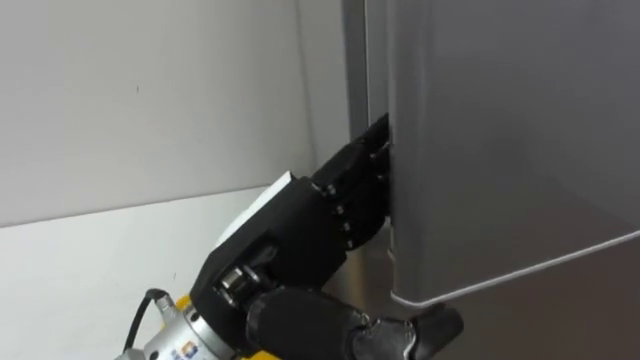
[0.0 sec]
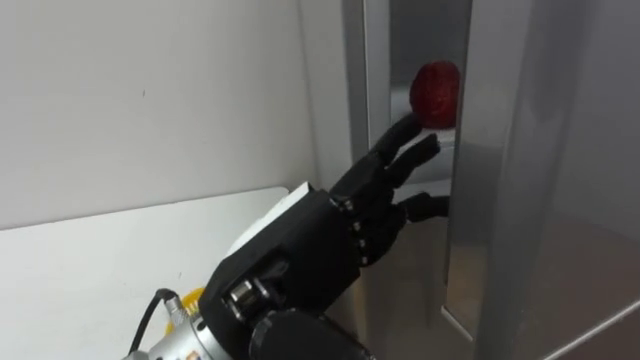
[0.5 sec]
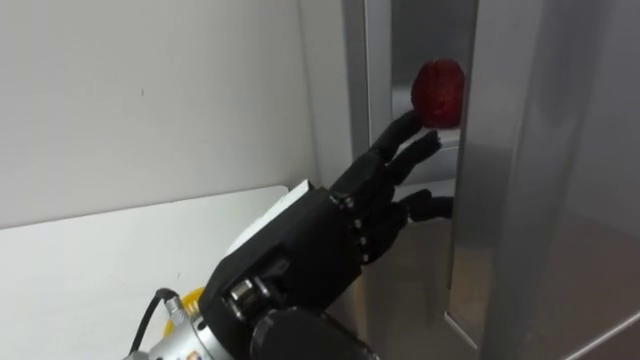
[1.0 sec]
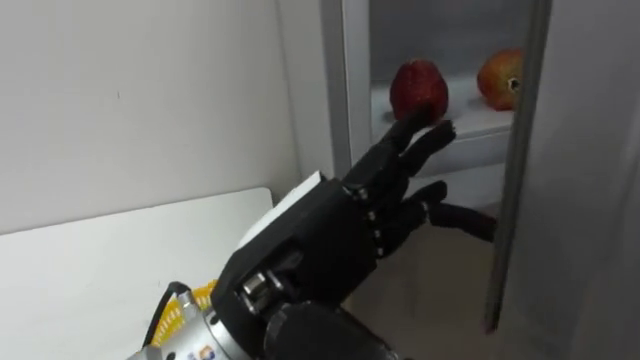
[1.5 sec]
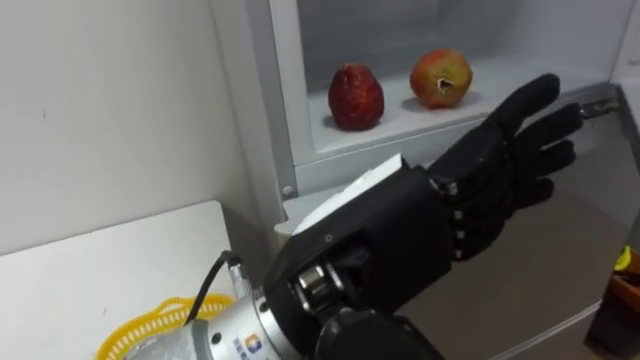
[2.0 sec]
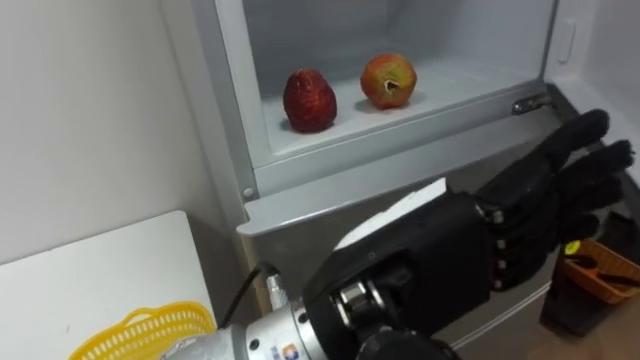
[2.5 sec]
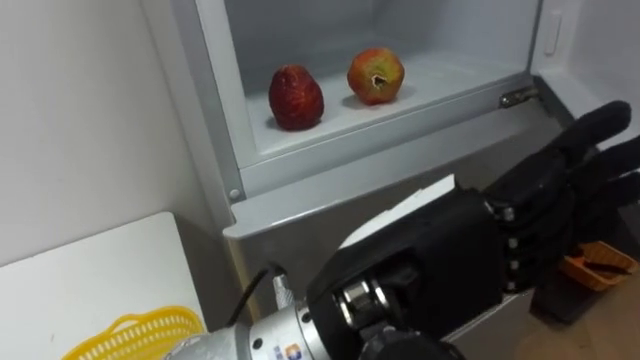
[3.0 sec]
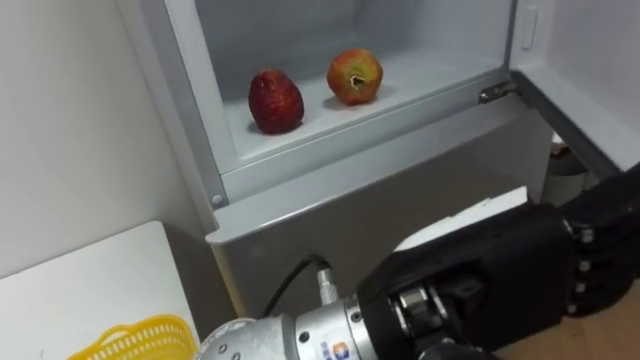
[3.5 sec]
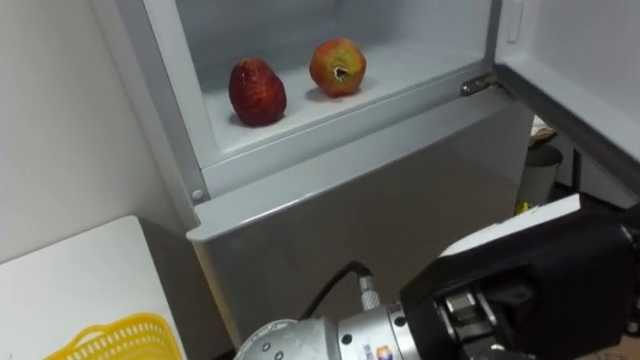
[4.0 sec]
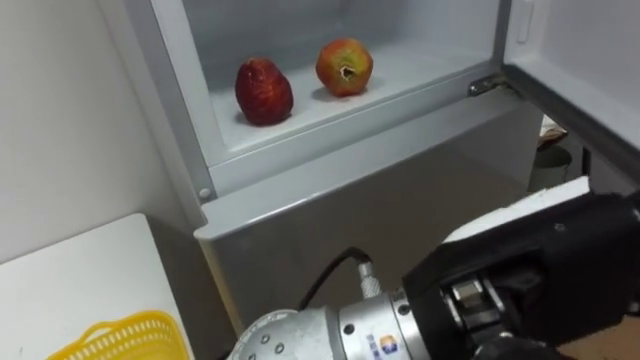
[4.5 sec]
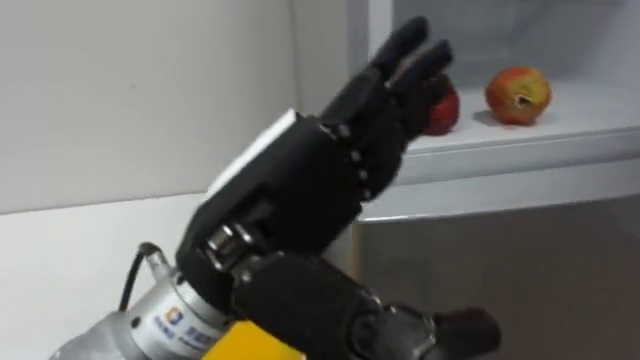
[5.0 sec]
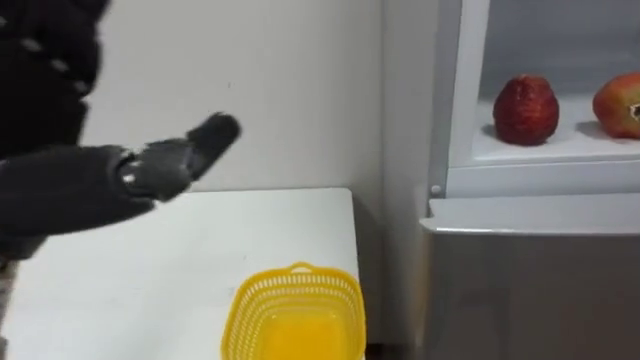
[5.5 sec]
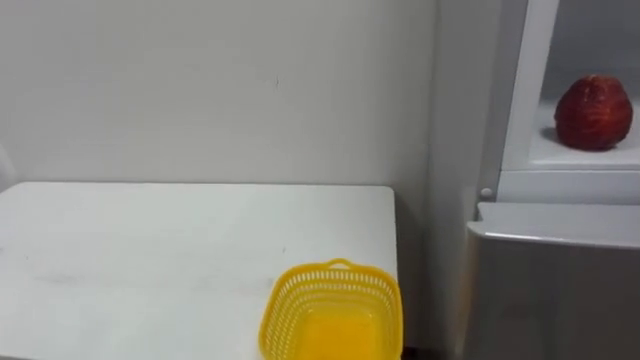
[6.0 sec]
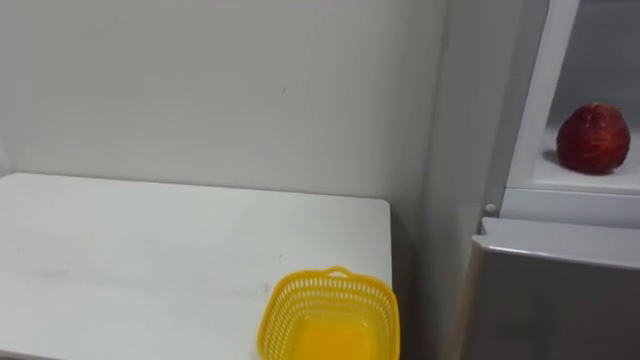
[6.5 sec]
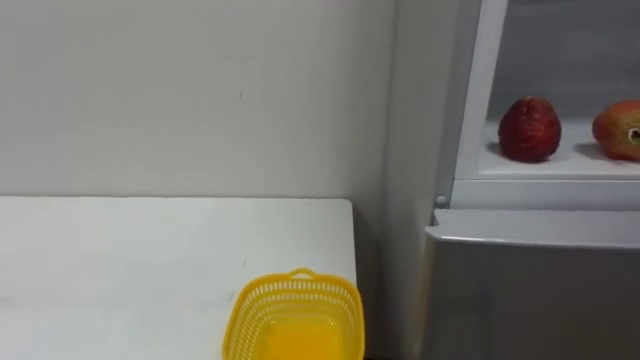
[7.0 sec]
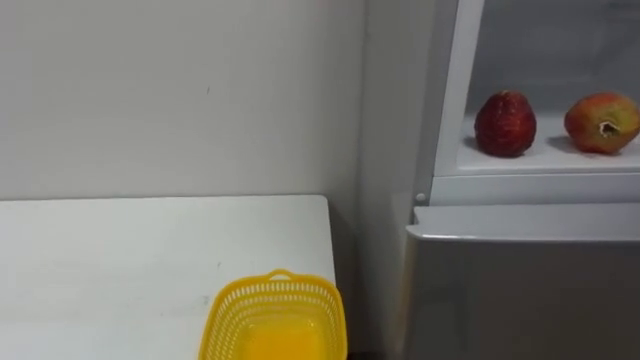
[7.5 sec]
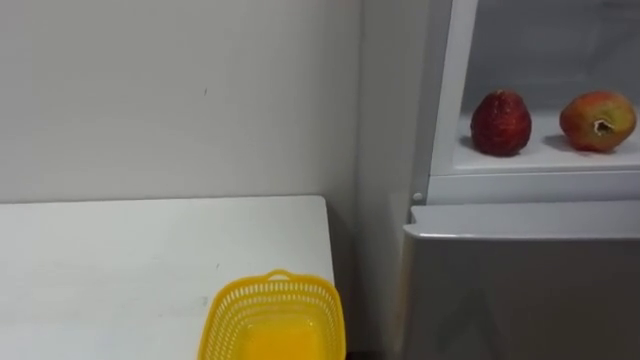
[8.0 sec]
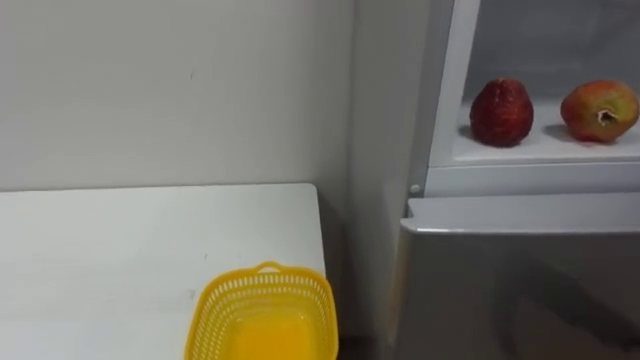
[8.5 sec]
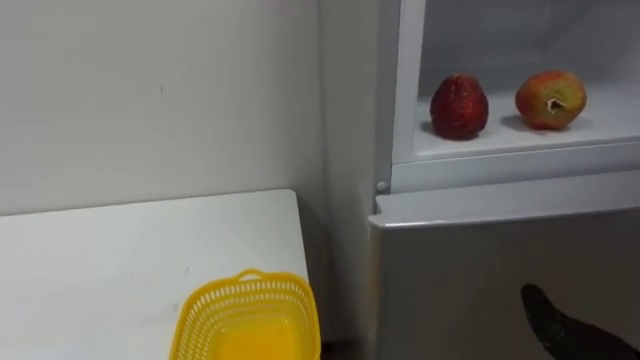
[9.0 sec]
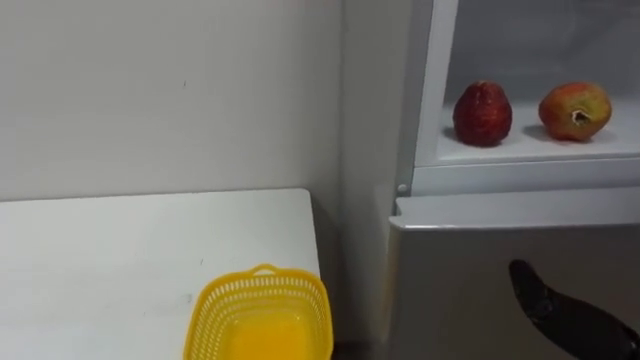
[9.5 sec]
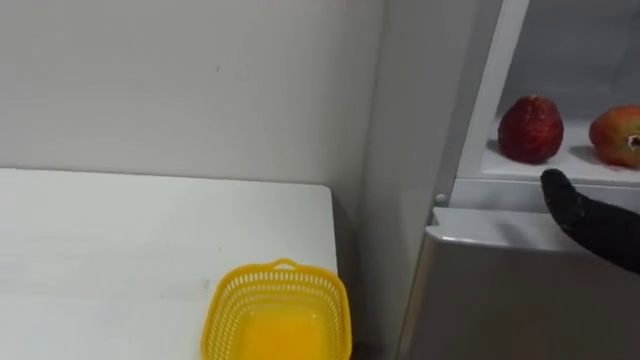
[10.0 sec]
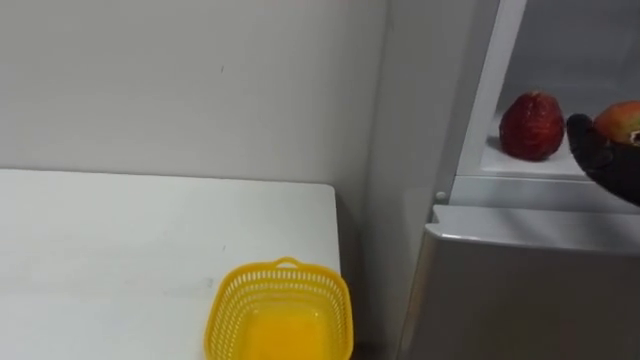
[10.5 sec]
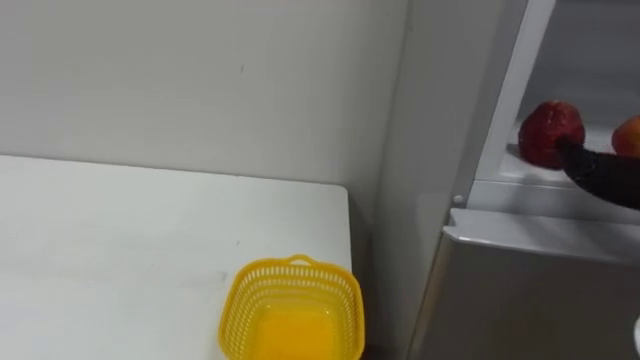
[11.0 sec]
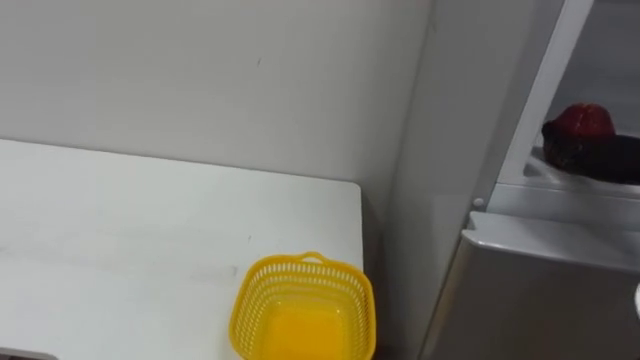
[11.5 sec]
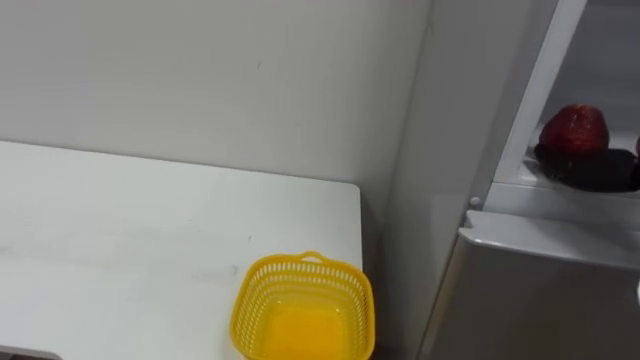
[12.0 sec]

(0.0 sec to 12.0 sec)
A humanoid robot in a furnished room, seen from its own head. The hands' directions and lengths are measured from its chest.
Task of the whole recording: Open the refrigerator door, take out the apple and the pomegranate, place them in the fruit basket on the left, and close the refrigerator door.
0.0 sec - 2.0 sec: The left hand heads to the right, covering some 5 cm.
2.0 sec - 4.0 sec: The left hand goes approximately 10 cm to the right.

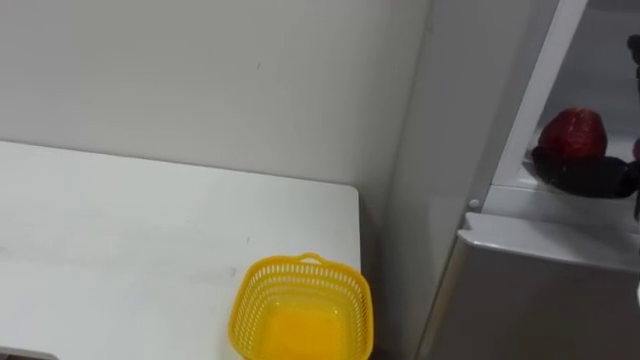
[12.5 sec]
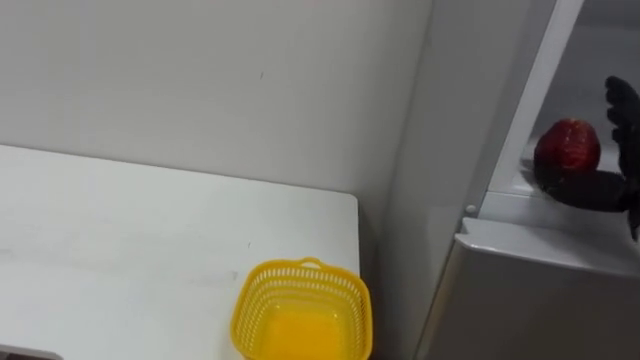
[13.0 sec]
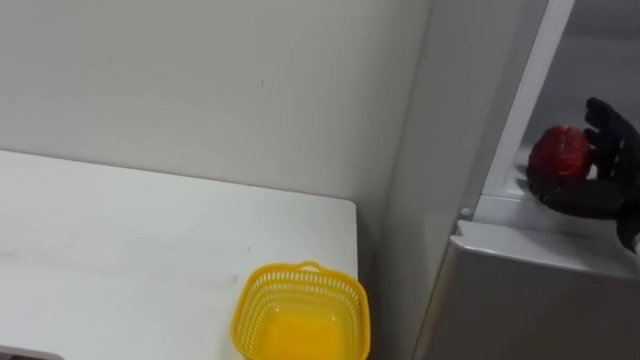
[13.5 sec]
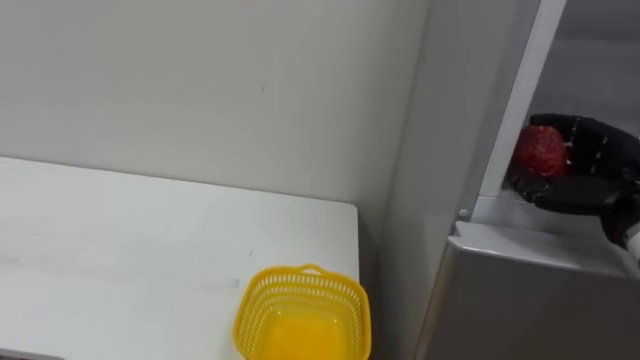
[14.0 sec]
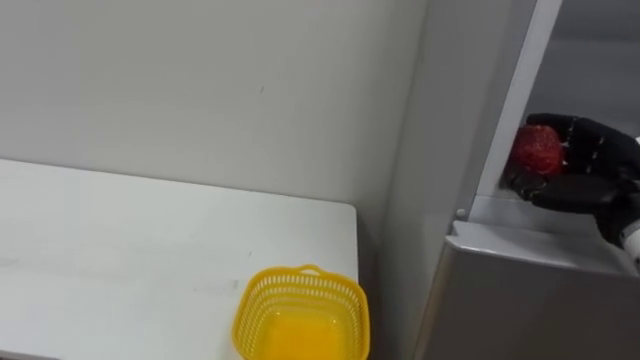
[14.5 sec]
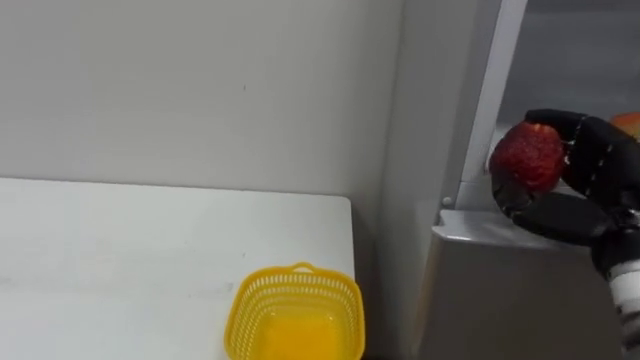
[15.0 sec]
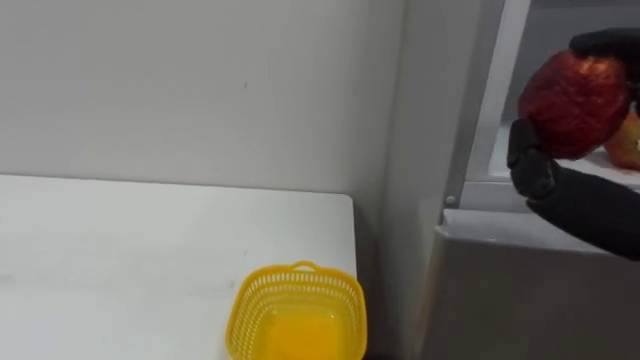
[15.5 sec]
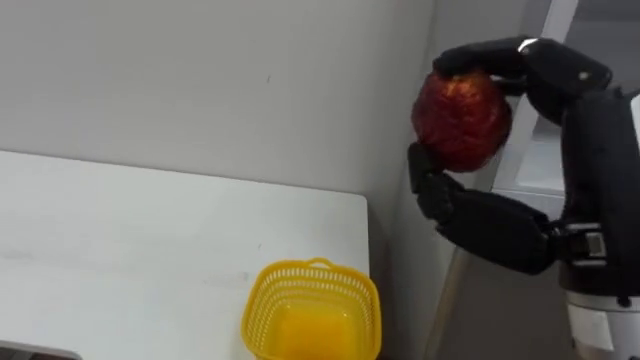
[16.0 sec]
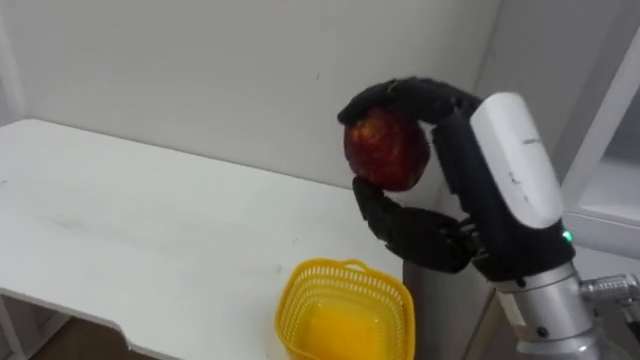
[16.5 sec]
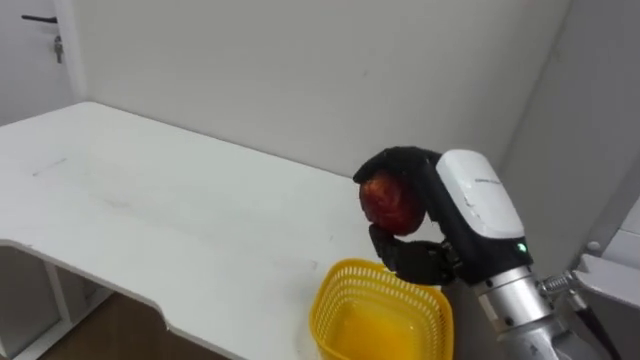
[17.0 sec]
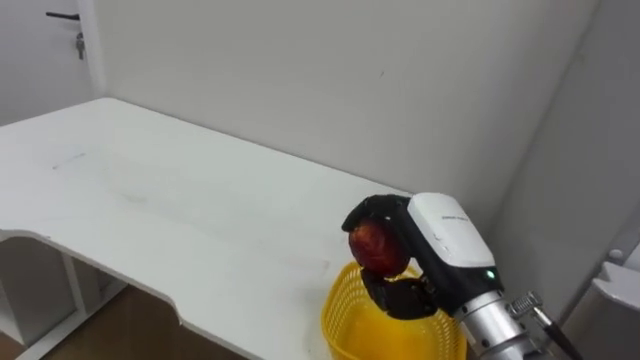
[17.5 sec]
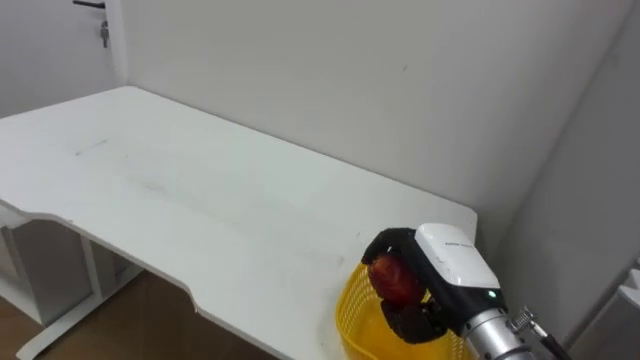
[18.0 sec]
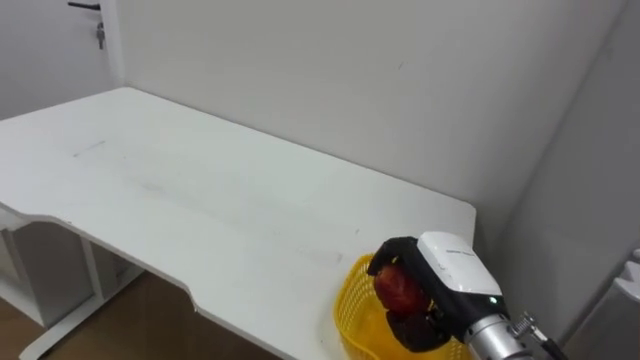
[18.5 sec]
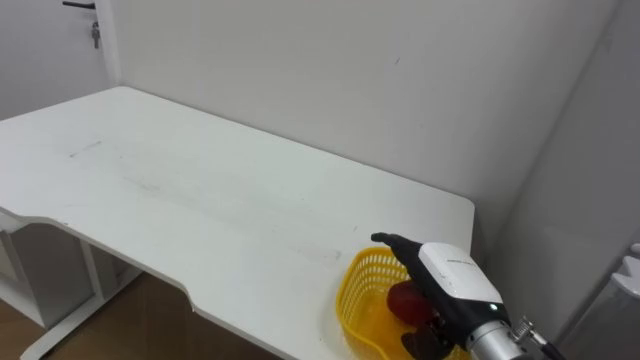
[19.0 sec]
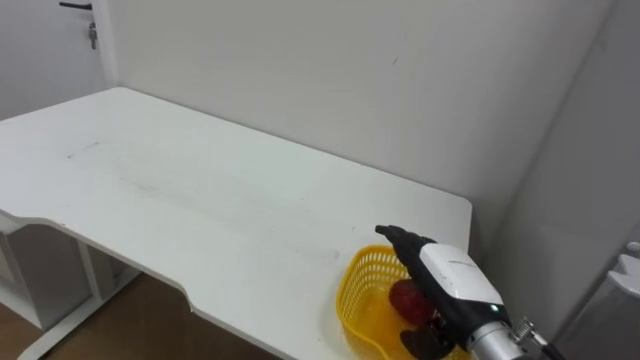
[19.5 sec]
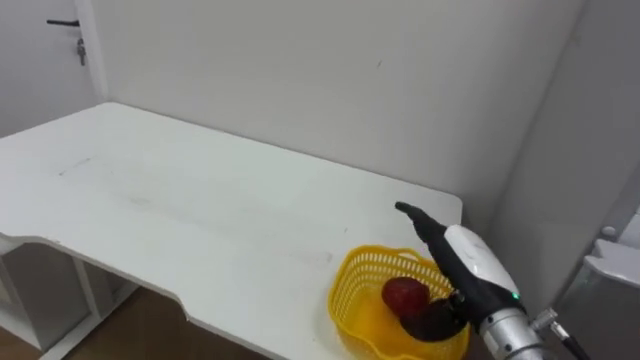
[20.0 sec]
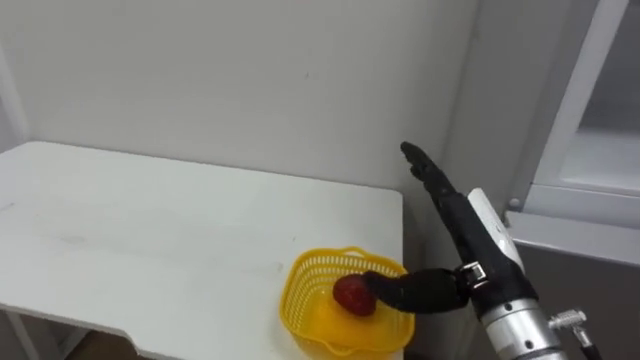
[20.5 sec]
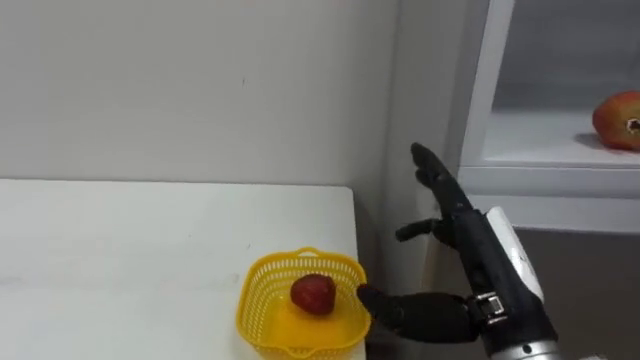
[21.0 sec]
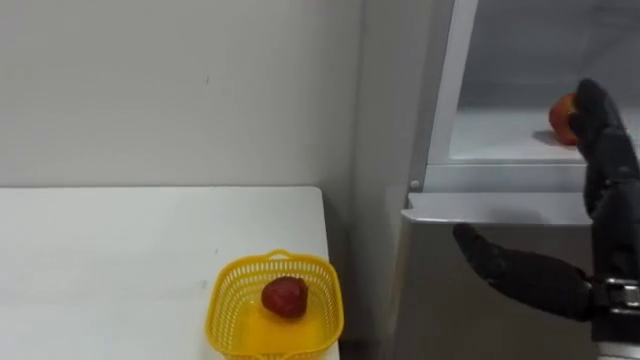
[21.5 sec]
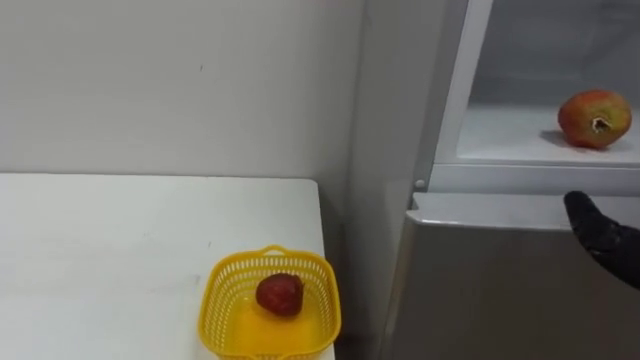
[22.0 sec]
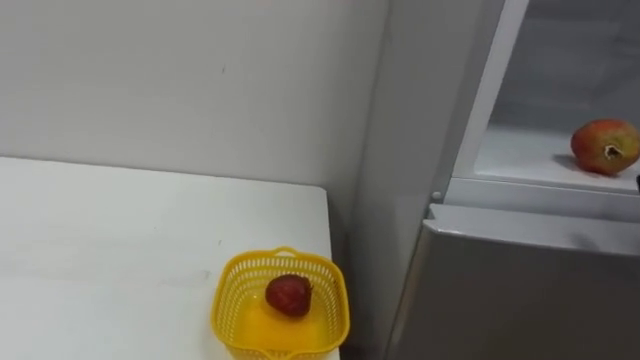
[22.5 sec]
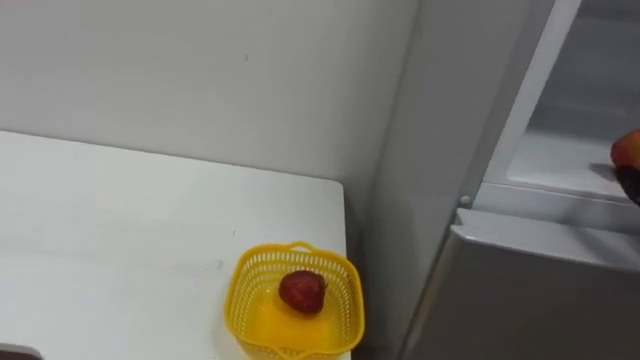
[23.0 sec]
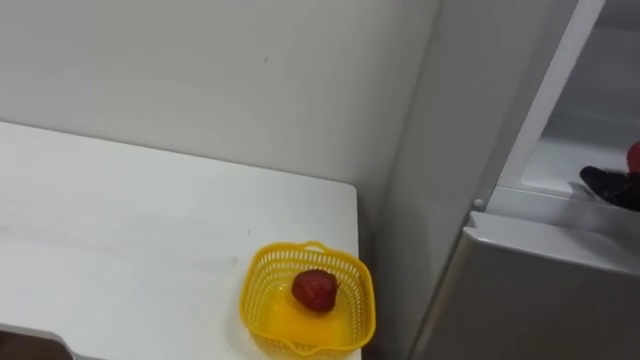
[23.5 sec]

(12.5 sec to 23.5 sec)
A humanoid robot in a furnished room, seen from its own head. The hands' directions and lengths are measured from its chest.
Task of the whole recording: Open the refrigerator door, take out the apple and the pomegranate, place them in the fruit basket on the left, and close the refrigerator door.
16.0 sec - 18.0 sec: The right hand is displaced downward and forward by roughly 20 cm.
18.0 sec - 20.0 sec: The right hand opens.
20.0 sec - 21.5 sec: The right hand is displaced upward, backward and to the right by about 15 cm.
